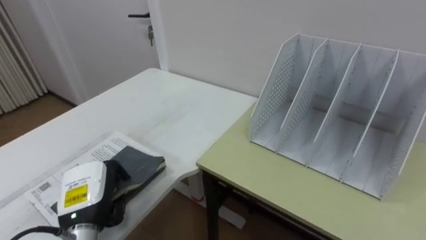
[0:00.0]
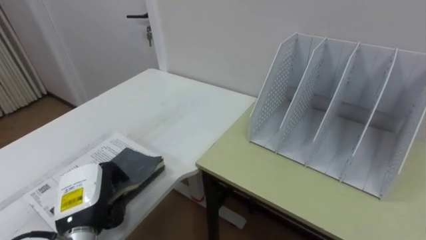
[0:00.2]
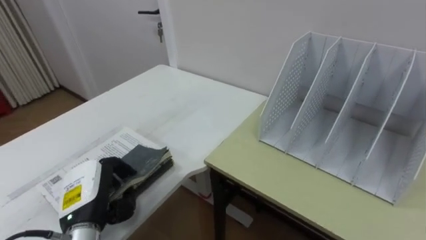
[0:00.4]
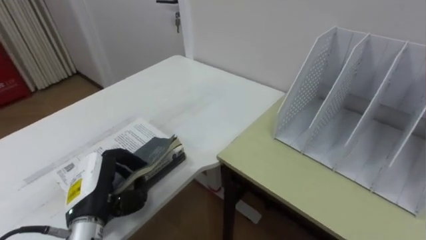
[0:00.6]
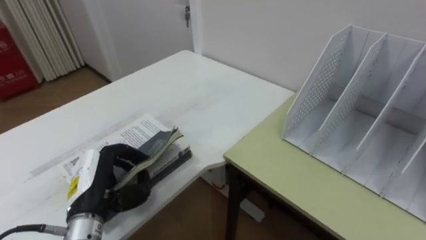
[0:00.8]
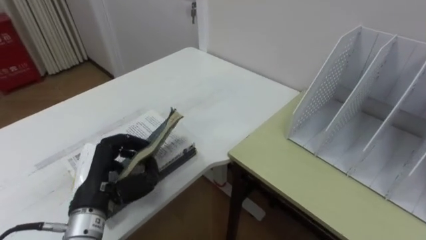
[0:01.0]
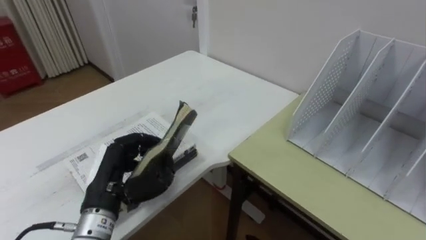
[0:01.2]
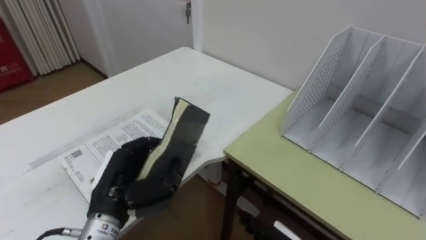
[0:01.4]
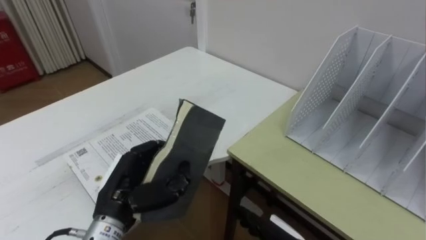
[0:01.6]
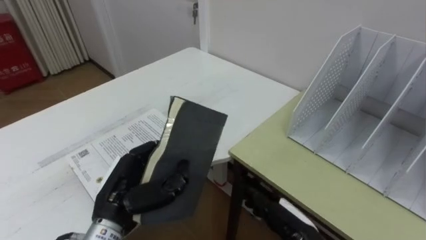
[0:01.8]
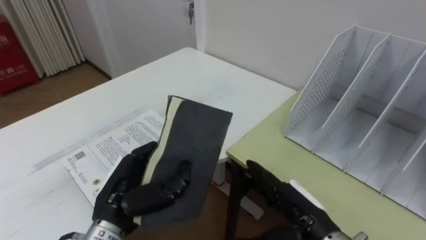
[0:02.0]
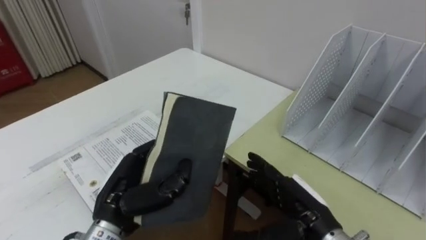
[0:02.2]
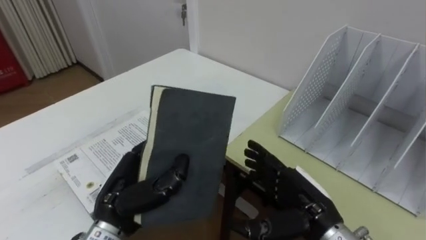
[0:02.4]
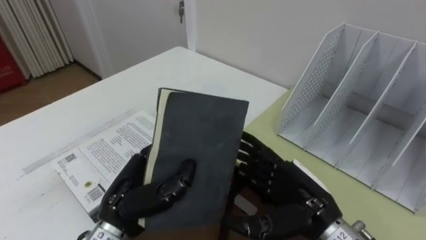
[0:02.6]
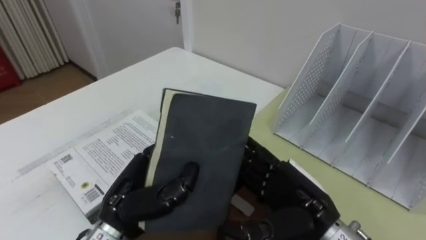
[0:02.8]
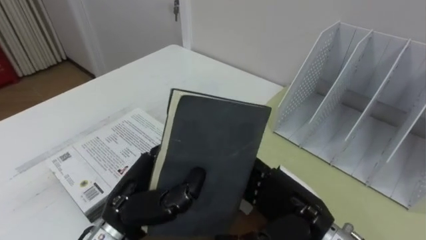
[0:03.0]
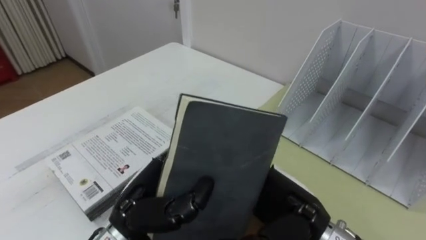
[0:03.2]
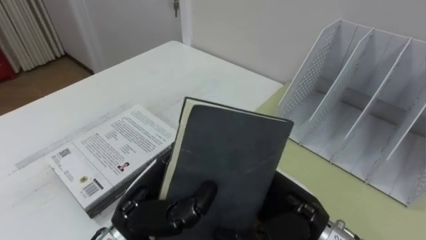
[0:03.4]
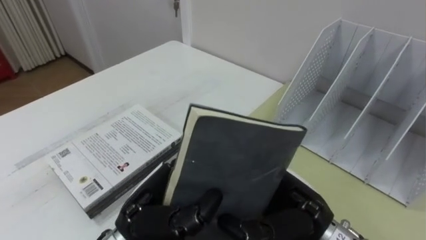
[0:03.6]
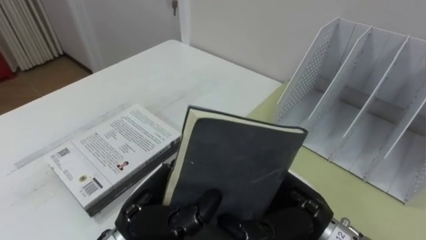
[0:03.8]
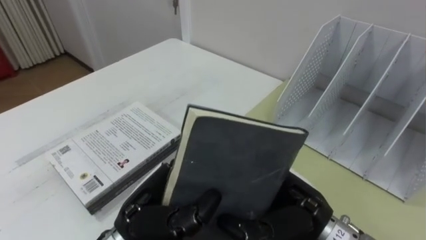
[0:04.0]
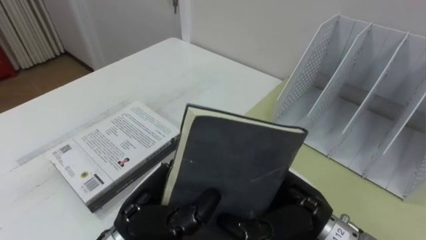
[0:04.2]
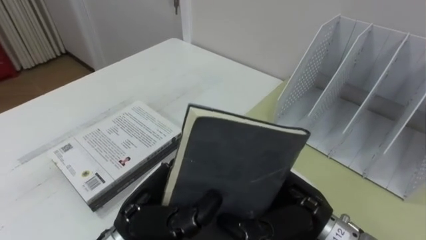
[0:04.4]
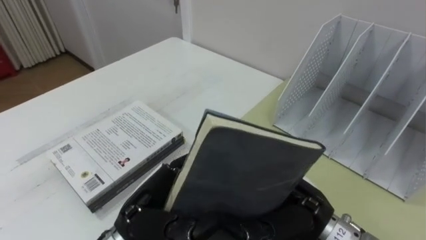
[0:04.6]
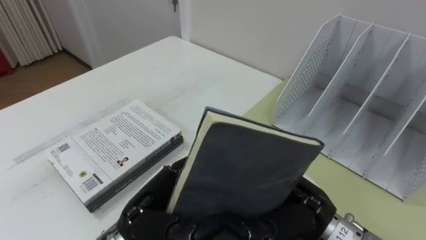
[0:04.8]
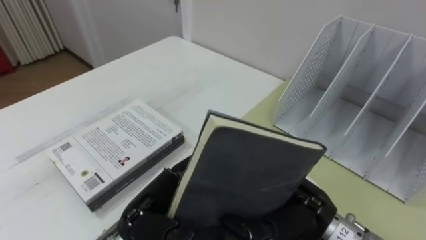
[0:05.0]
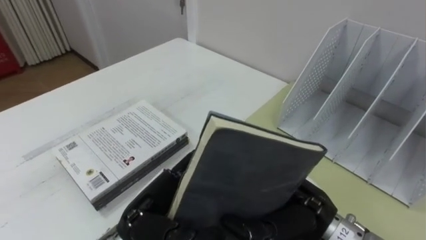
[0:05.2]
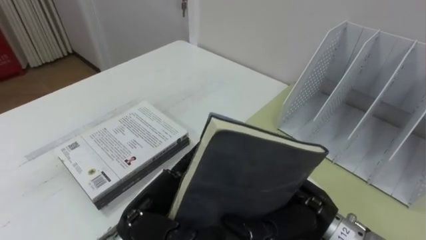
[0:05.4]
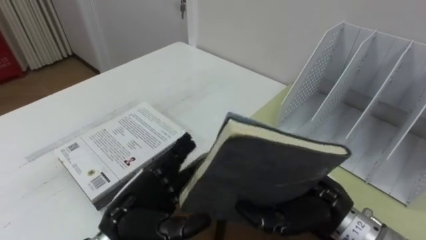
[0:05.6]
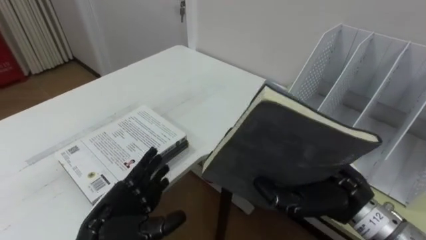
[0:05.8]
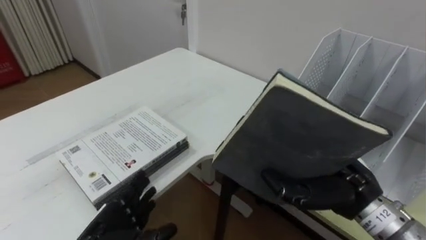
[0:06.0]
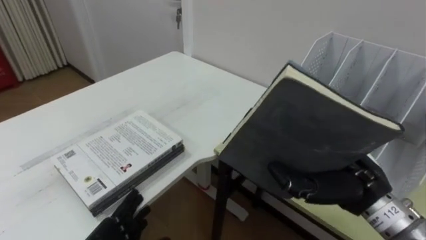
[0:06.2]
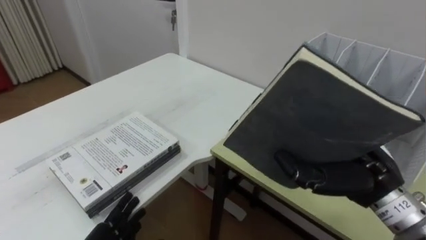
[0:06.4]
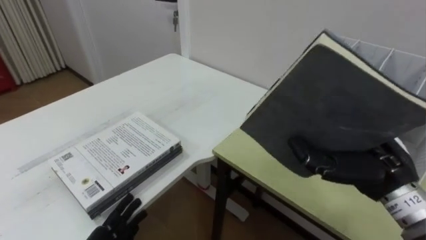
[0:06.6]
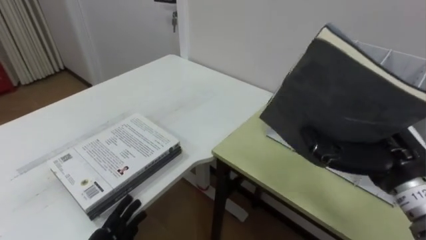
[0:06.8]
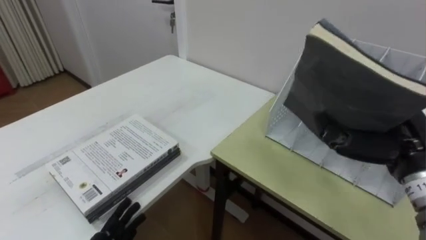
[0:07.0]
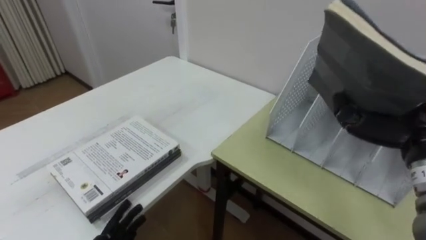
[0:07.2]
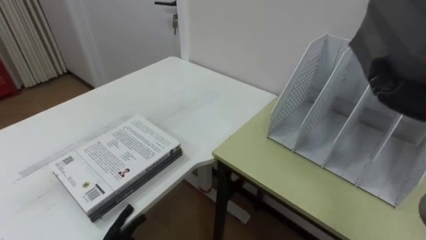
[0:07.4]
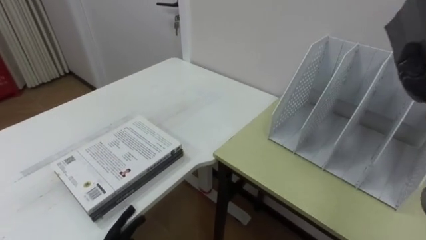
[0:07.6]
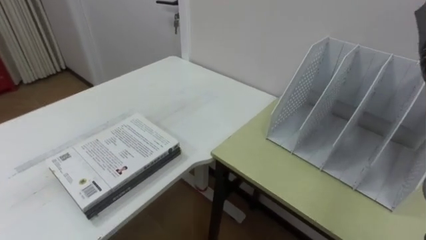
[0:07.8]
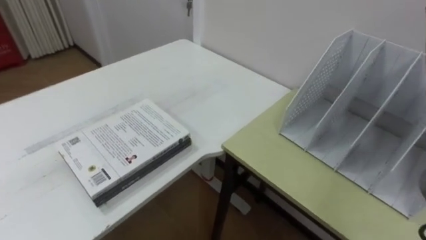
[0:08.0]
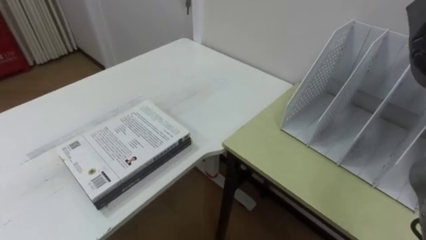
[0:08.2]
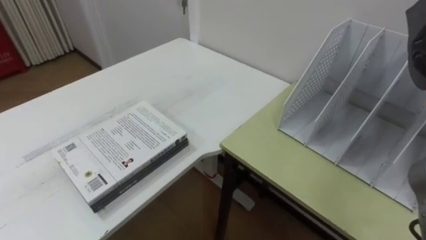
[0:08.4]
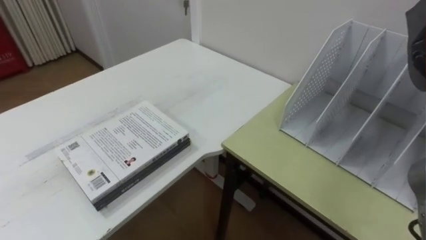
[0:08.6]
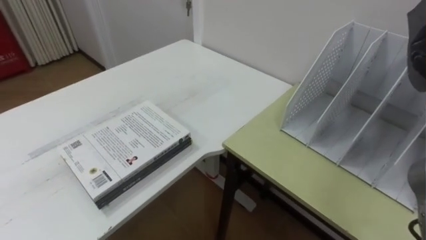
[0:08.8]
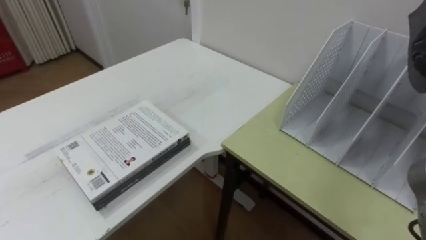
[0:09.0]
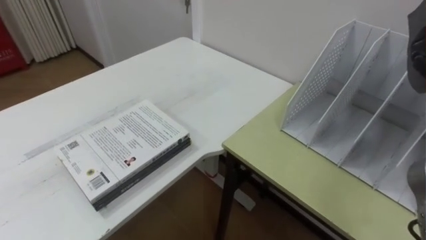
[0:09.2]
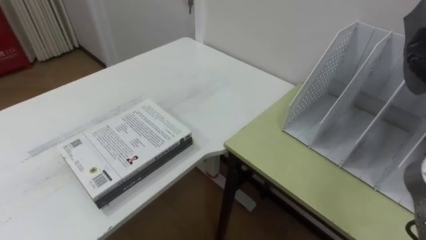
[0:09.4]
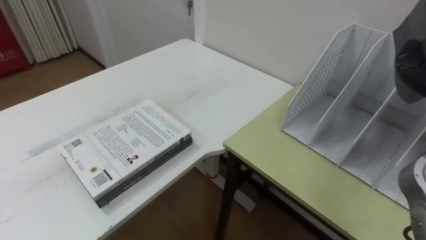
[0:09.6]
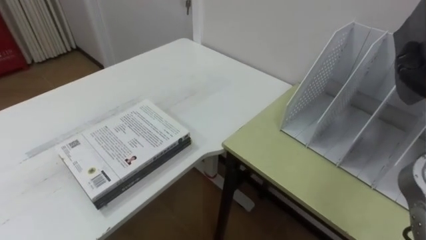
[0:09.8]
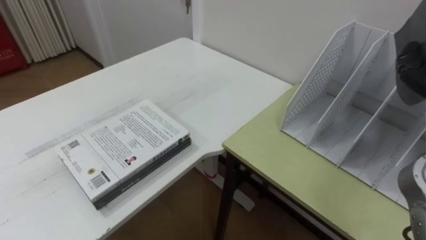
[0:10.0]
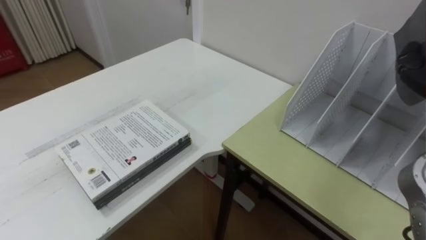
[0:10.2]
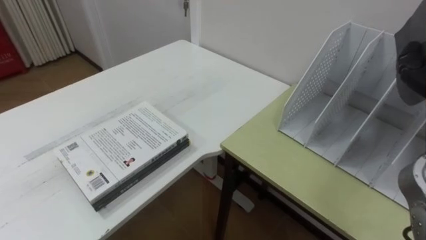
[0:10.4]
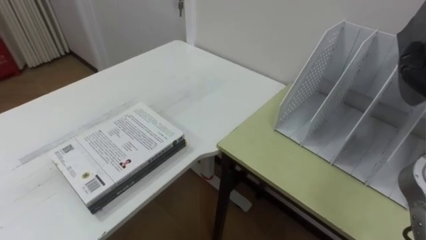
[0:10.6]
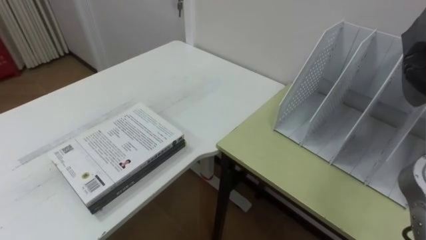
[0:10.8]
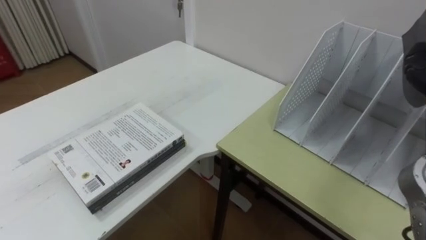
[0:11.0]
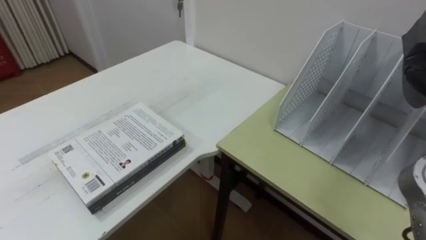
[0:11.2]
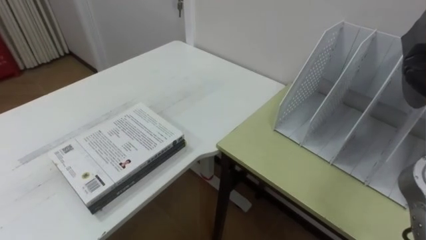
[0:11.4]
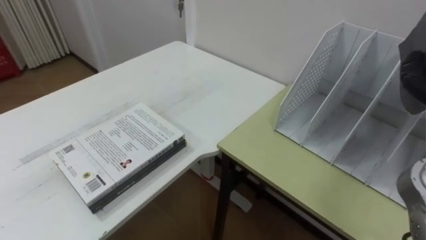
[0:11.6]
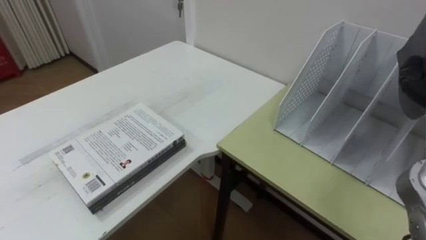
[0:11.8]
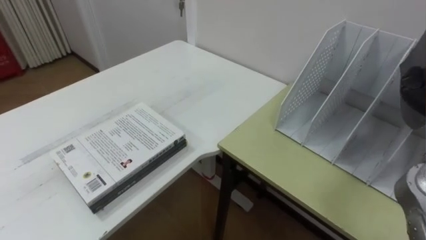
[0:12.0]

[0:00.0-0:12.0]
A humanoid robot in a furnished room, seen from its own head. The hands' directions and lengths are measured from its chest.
Task of the whole recording: Put the books on the table onto the bookshelf.
0:00.0 to 0:01.6: The left hand moves to the right, about 5 cm.
0:01.6 to 0:03.0: The right hand moves upward, some 10 cm.
0:03.0 to 0:04.4: The right hand closes.
0:04.4 to 0:06.0: The right hand goes approximately 5 cm to the right, while the left hand travels downward and to the left by about 15 cm, and opens up.

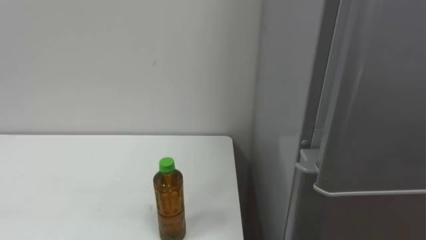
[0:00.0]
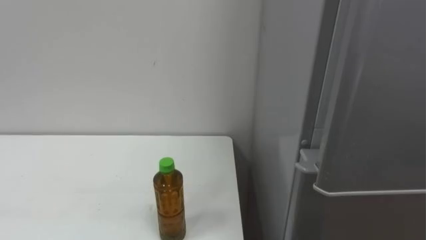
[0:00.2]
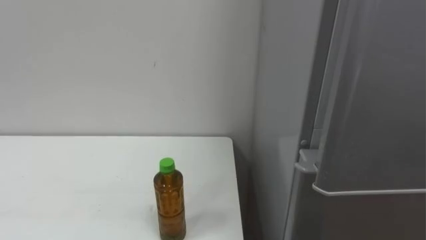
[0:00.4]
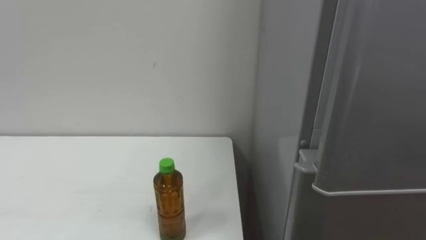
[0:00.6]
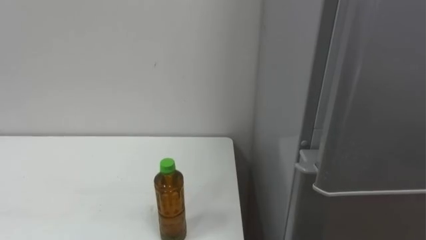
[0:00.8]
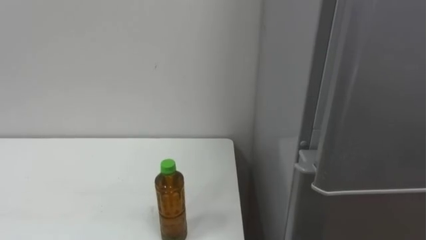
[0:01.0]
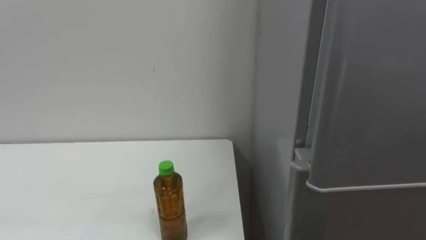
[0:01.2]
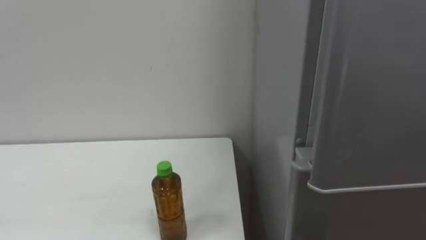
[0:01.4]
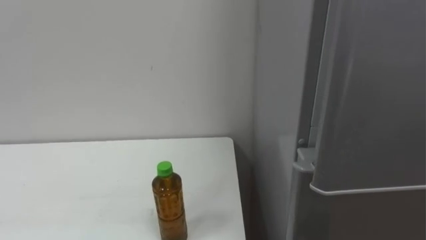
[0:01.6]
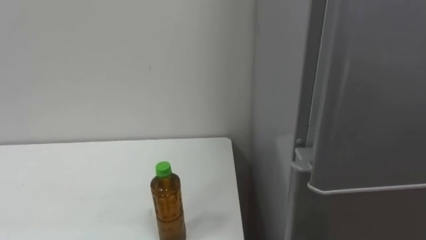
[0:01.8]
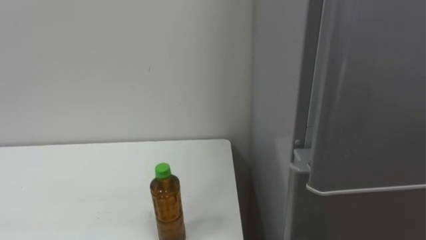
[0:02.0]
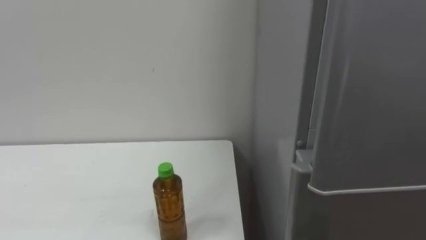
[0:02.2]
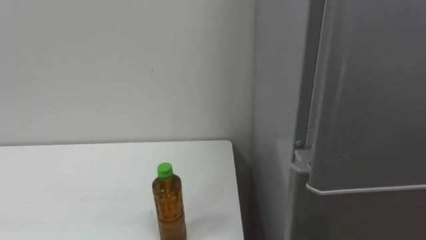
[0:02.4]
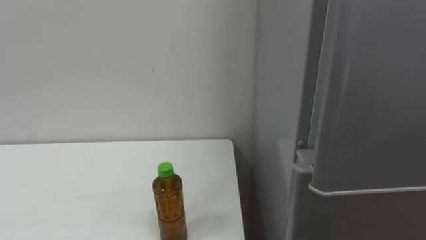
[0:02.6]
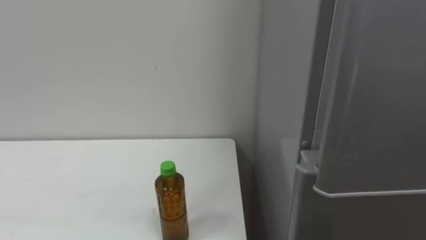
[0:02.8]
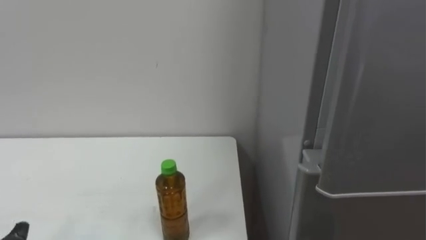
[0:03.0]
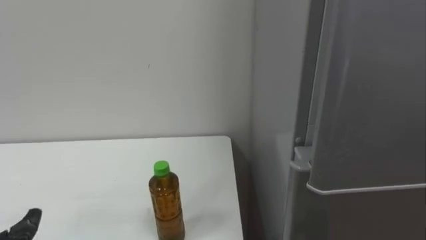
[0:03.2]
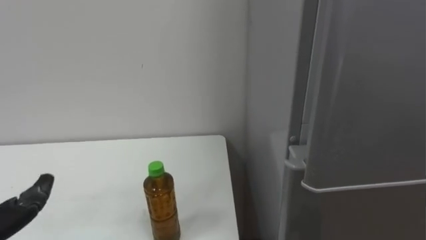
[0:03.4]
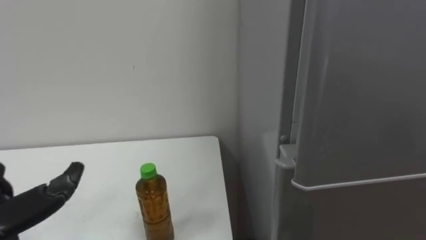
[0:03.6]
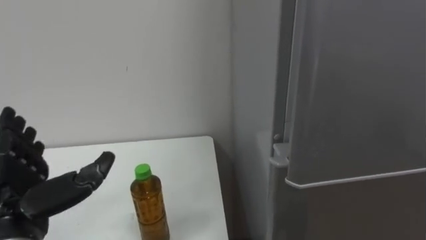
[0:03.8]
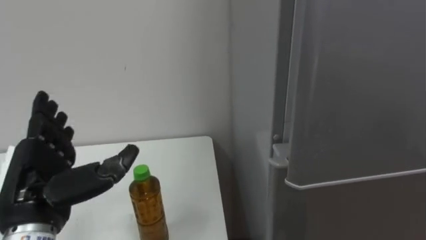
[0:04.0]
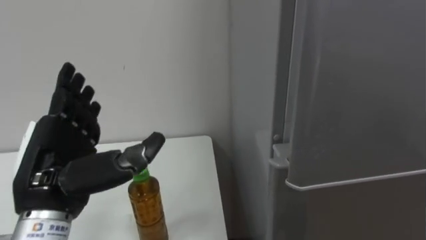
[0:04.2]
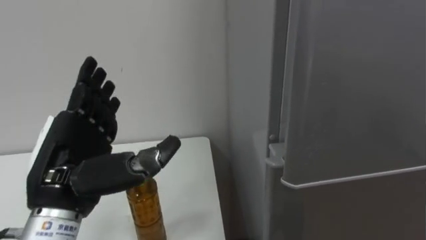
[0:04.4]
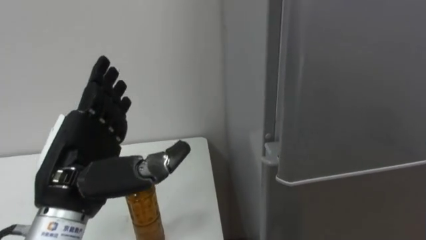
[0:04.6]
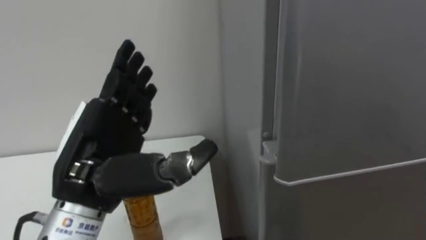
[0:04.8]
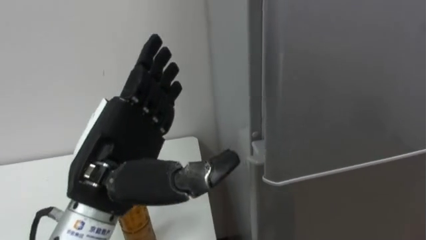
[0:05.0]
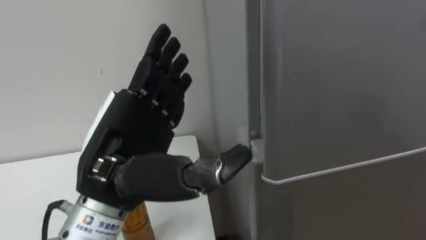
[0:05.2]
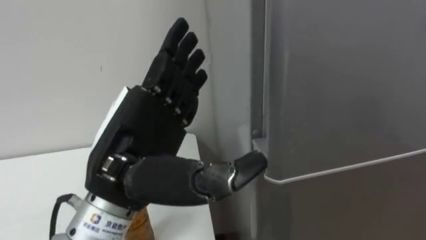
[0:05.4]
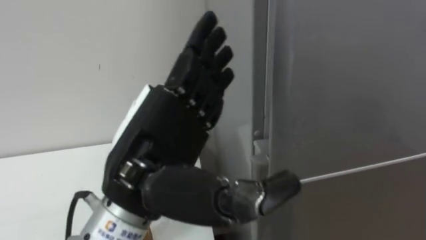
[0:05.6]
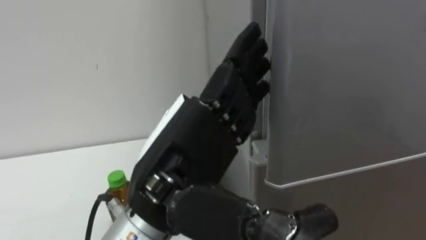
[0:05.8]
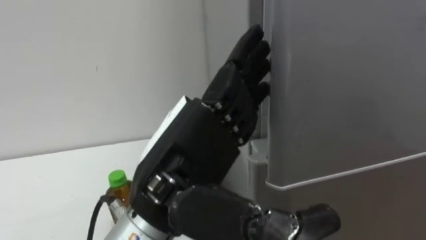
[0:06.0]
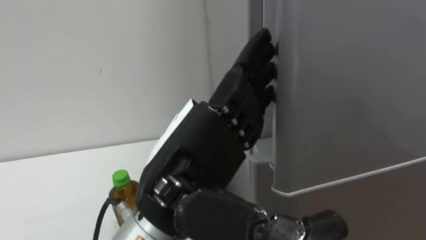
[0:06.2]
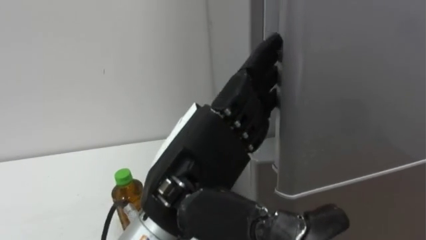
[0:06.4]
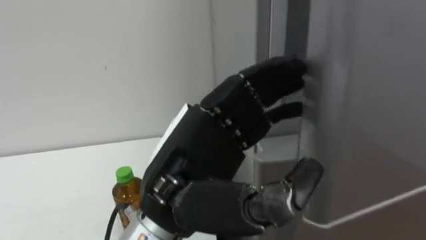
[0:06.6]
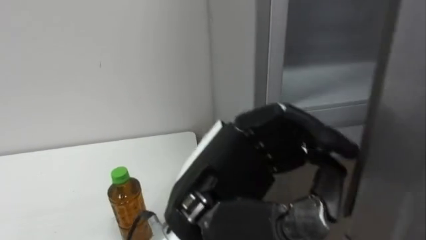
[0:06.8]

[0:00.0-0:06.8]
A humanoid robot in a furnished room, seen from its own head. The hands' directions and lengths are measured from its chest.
Task of the whole recording: Open the upper refrigerator door, put the drink from the table into the refrigerator, and then close the refrigerator door.
0:04.0 to 0:05.4: The left hand shifts some 15 cm to the right and upward.
0:05.4 to 0:06.8: The left hand goes about 10 cm to the right, and closes.
